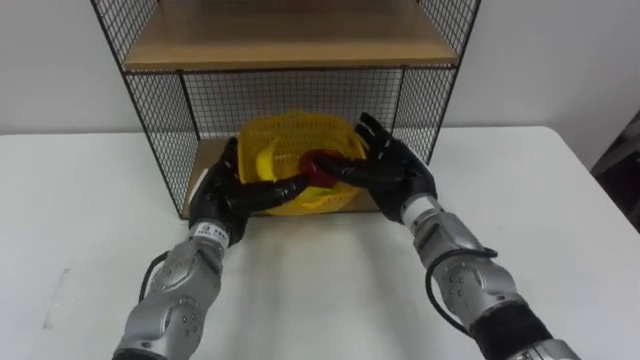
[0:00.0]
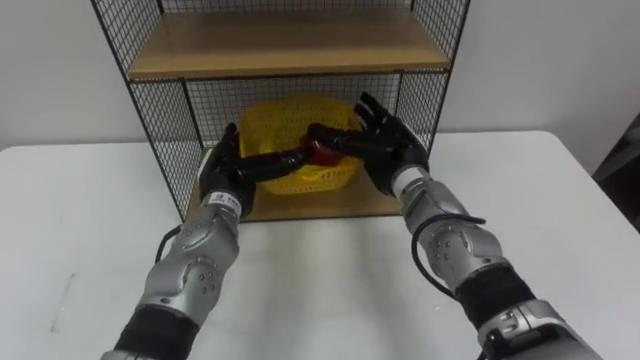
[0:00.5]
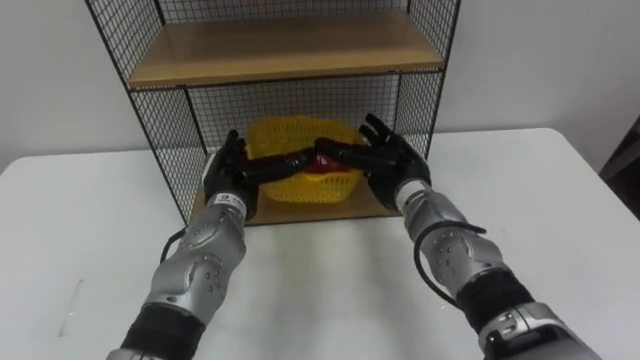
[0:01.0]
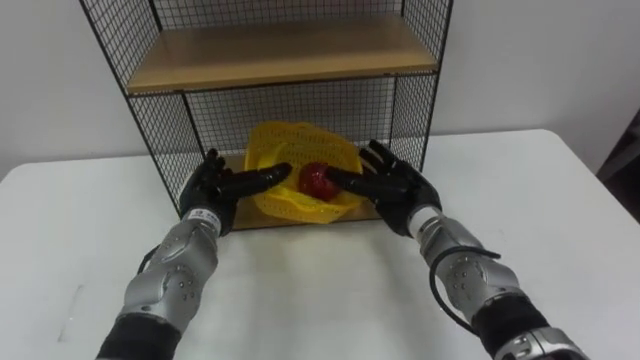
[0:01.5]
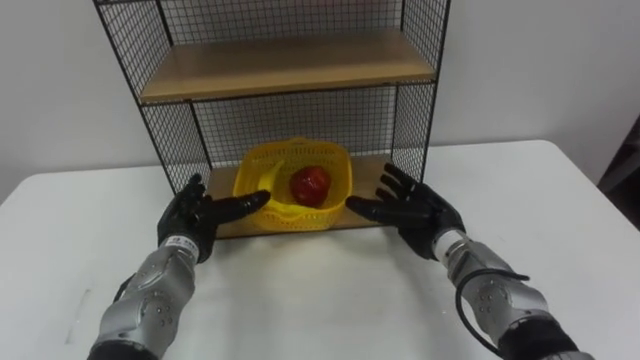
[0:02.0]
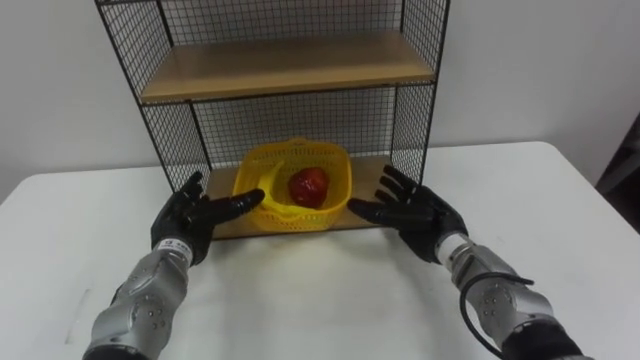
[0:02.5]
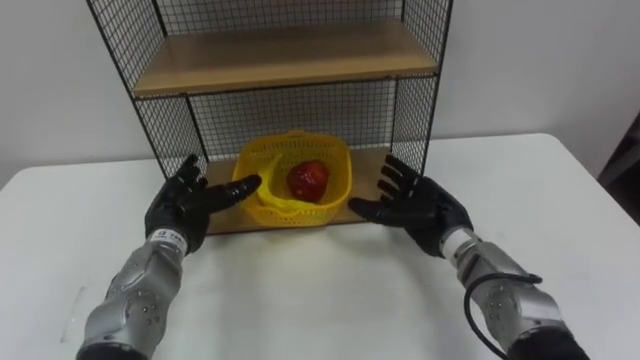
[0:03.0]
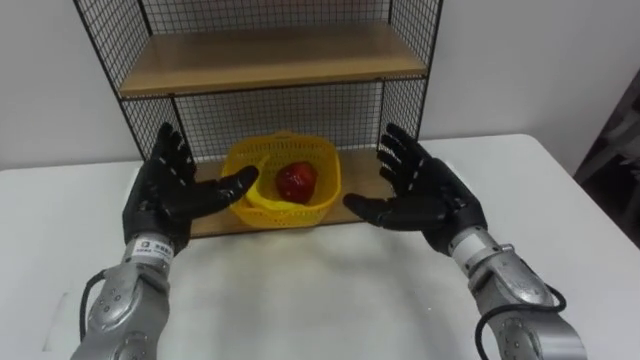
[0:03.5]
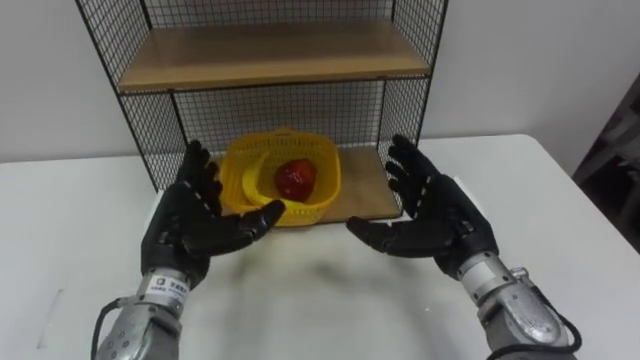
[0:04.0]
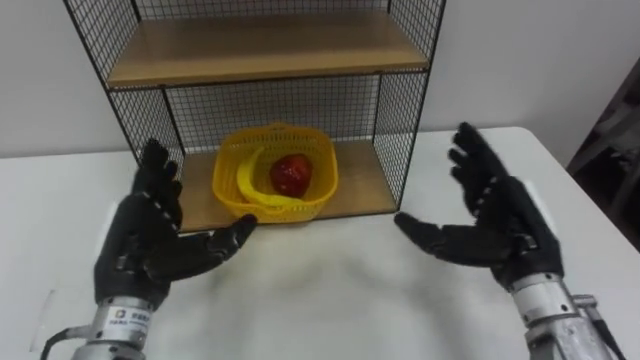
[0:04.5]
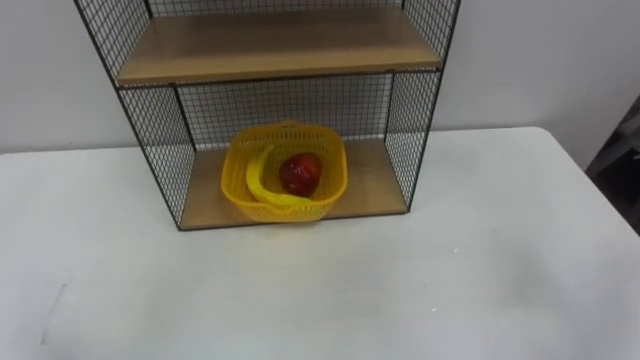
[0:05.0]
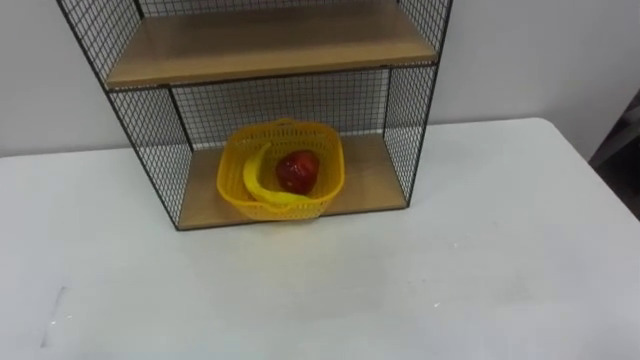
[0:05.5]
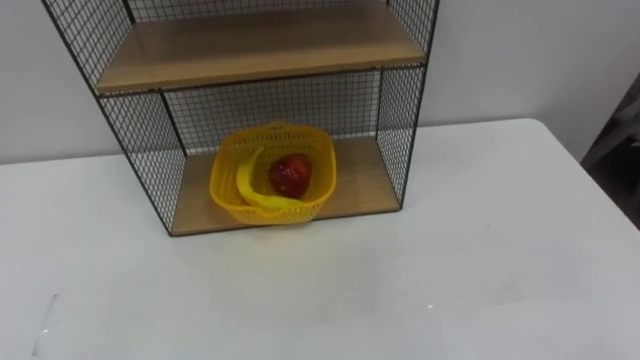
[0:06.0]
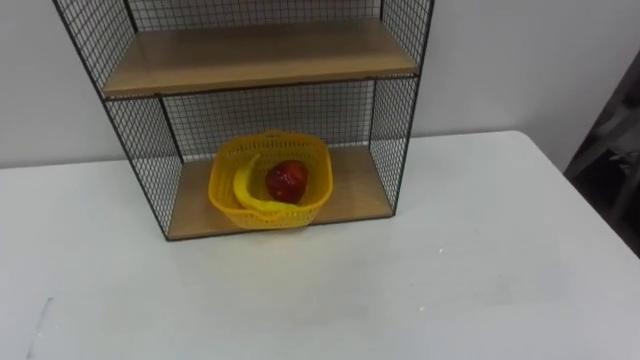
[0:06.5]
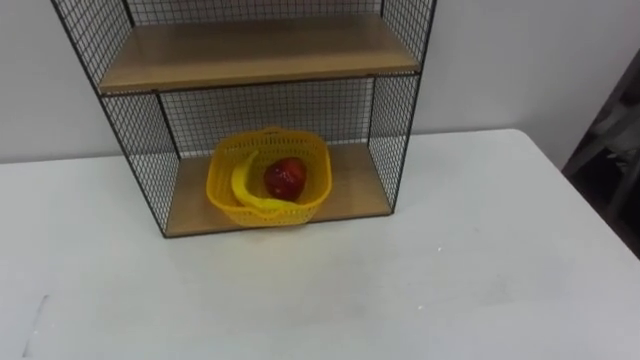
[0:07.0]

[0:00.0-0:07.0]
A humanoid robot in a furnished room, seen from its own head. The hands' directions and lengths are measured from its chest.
Task of the whole recording: Put the fruit on the table into the basket, then place the basket on the shelf.
0:00.0 to 0:02.0: The left hand moves to the left, roughly 5 cm. Meanwhile the right hand goes approximately 10 cm downward and to the right.
0:02.0 to 0:03.5: The hands both shift upward by about 10 cm.

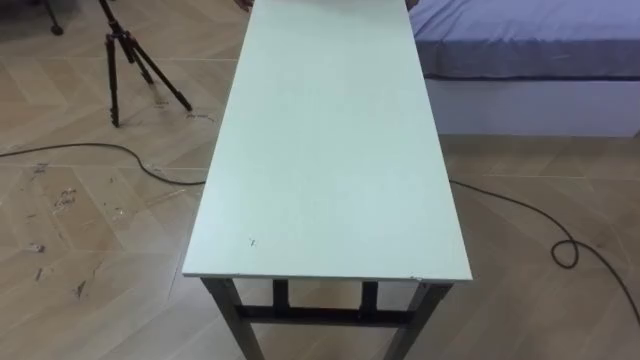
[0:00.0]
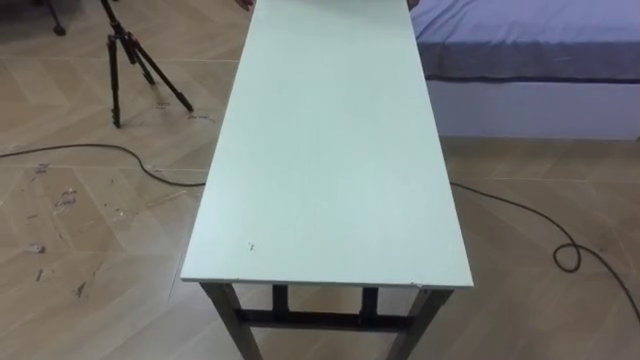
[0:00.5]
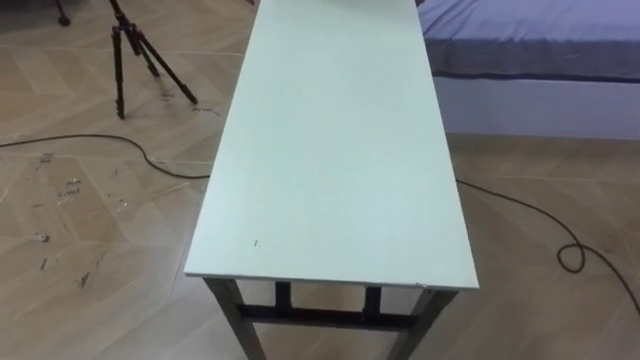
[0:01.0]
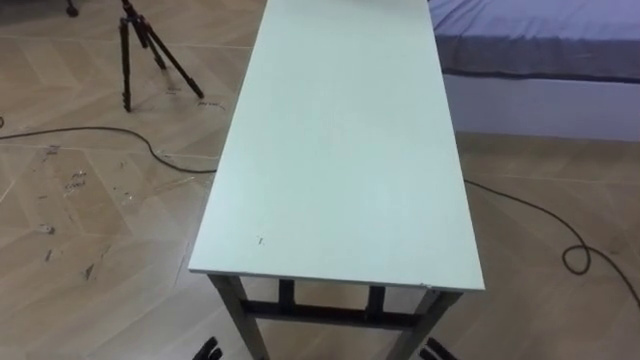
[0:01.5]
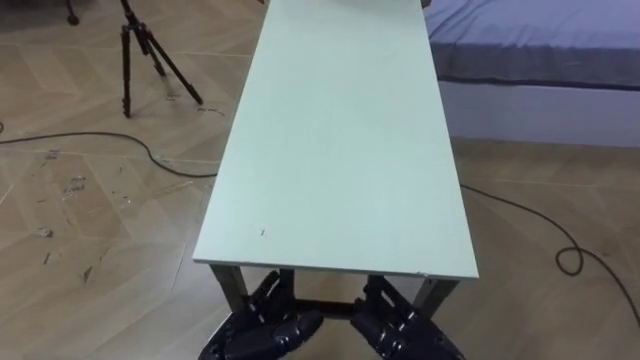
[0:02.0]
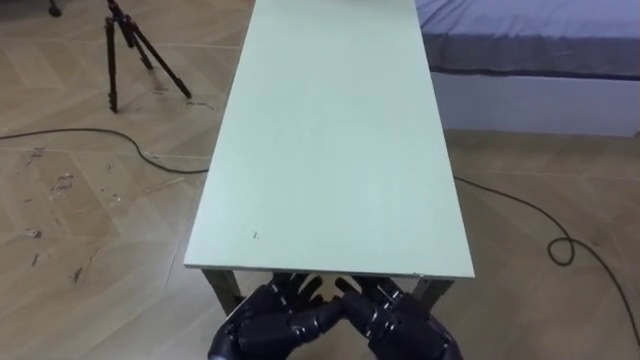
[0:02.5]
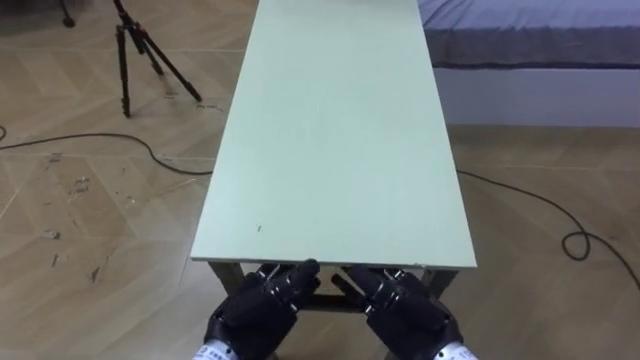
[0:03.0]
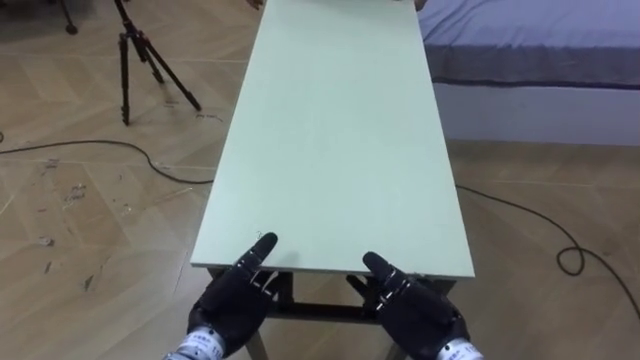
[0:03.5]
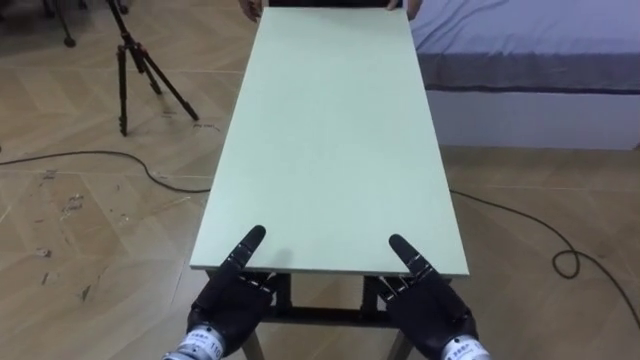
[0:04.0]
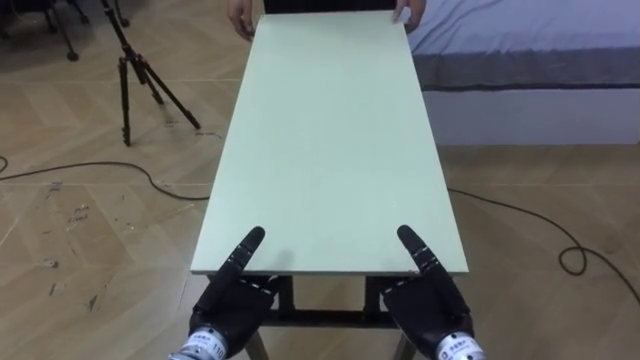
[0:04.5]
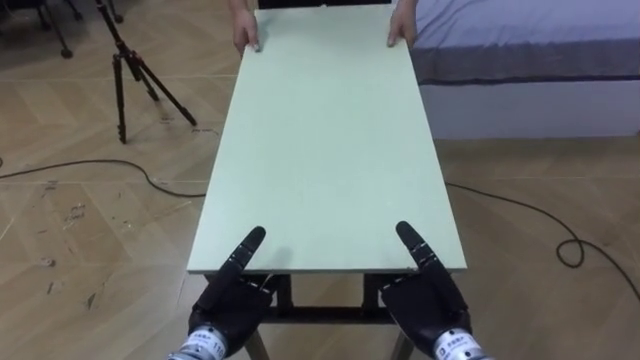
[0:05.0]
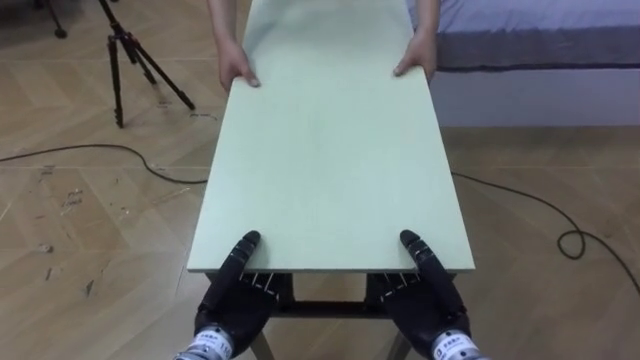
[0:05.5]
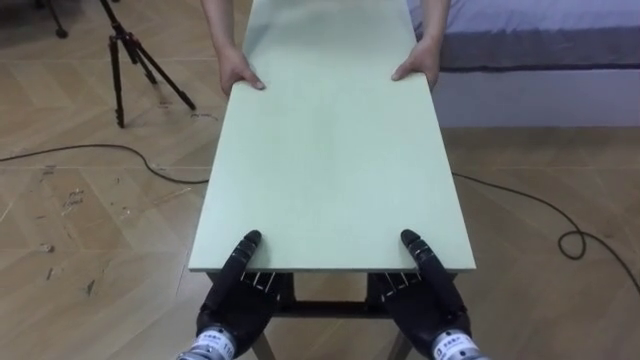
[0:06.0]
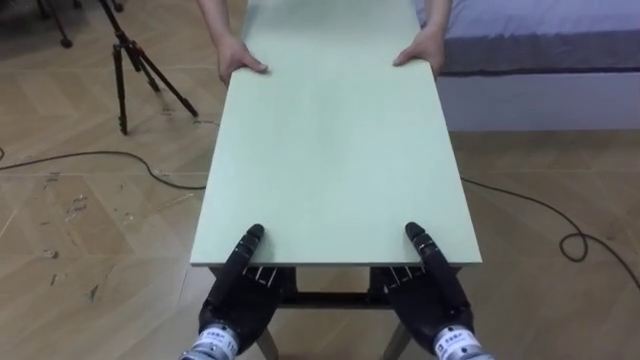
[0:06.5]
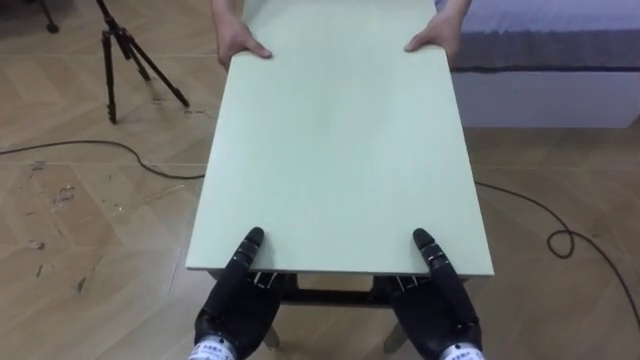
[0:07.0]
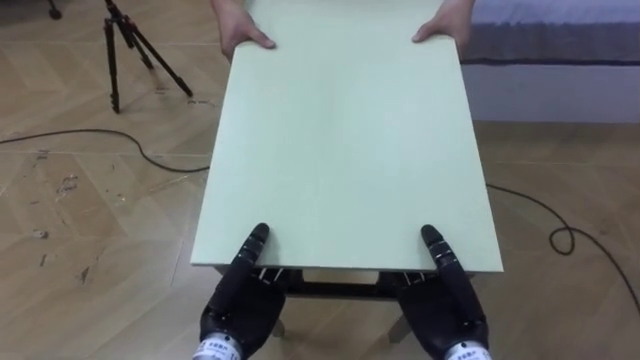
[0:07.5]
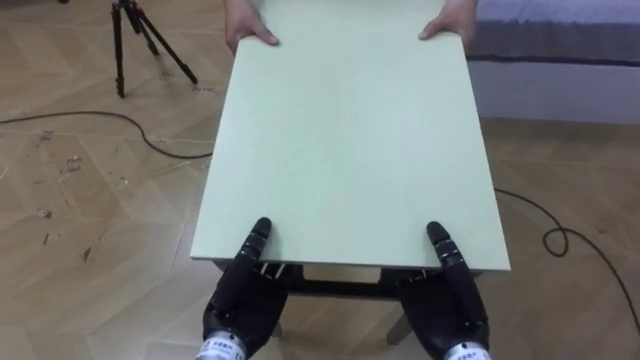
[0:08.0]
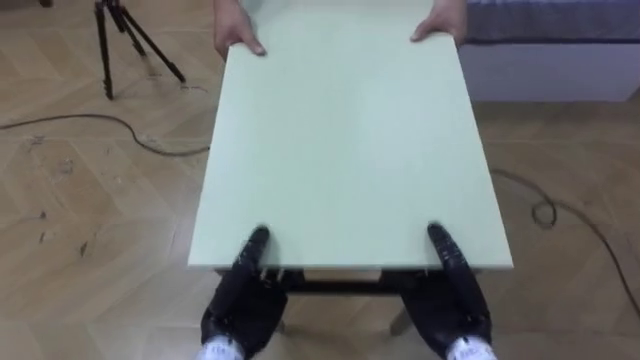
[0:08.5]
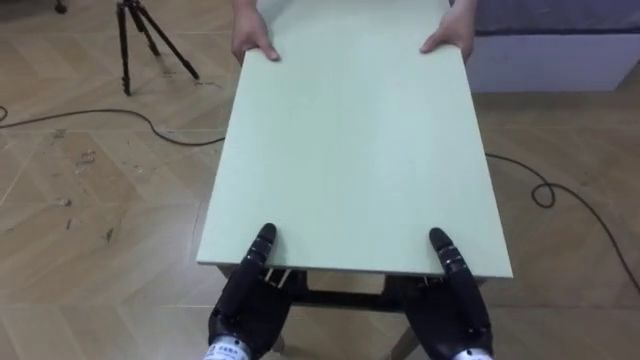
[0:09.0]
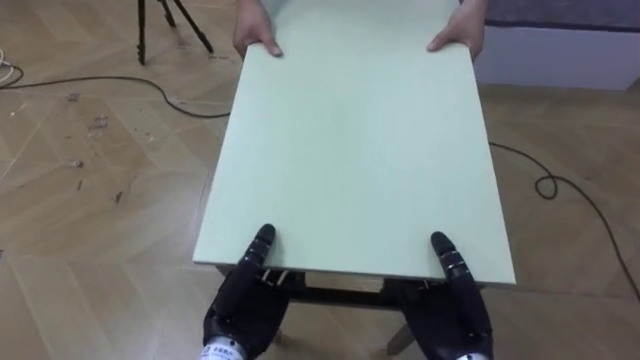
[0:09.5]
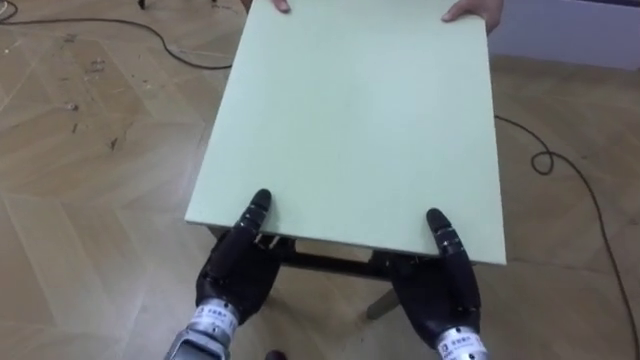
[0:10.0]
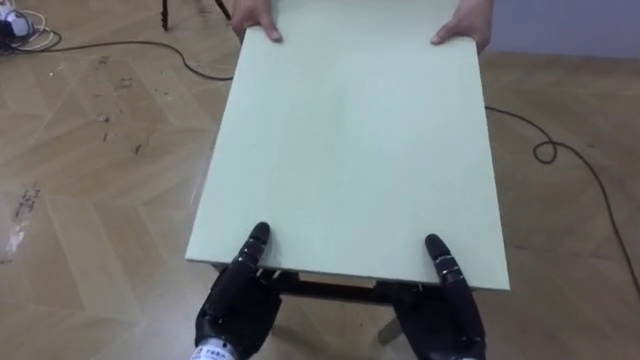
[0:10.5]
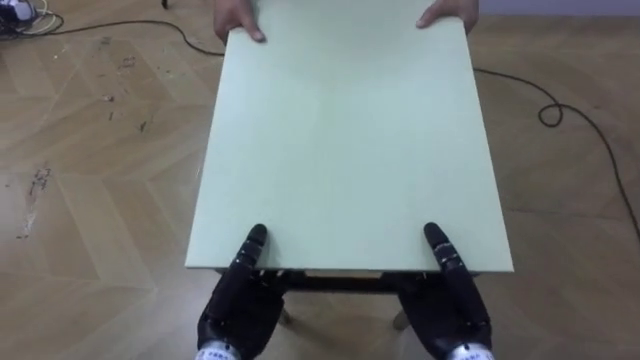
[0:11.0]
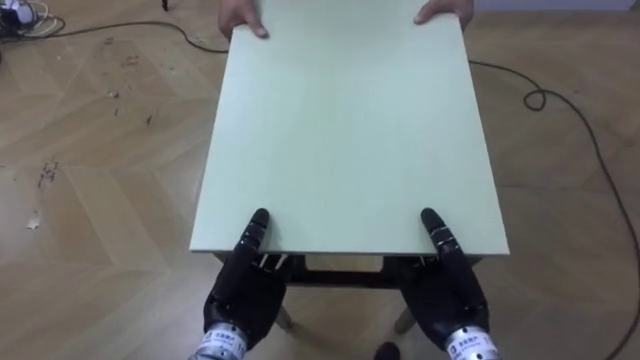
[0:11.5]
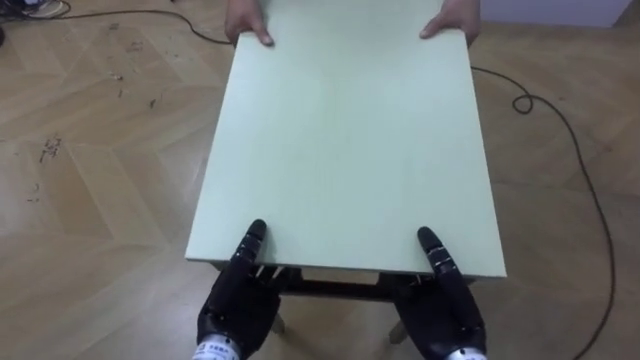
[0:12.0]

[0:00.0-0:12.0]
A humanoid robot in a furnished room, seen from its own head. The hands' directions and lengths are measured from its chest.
Task of the whole recording: Move the table to the back left with someone.
0:02.0 to 0:04.0: Both hands travel together forward, about 5 cm.
0:04.0 to 0:06.0: The right hand closes its fingers, while the left hand closes up.

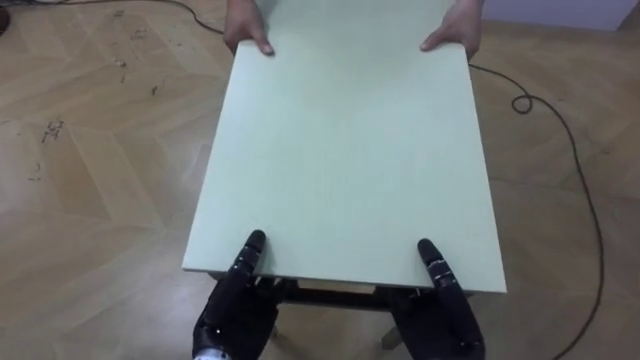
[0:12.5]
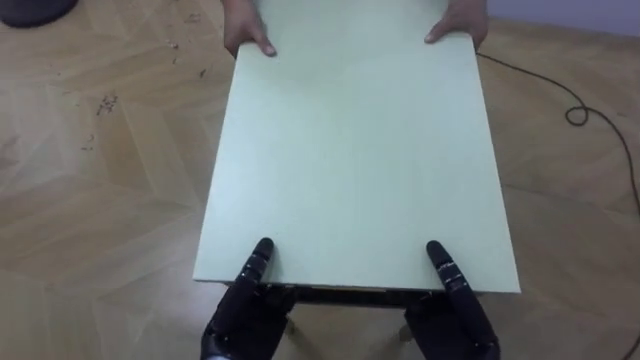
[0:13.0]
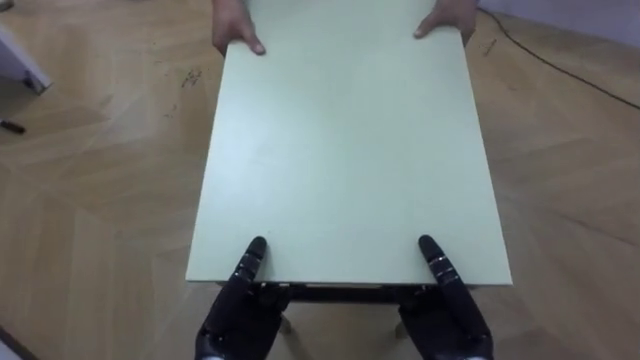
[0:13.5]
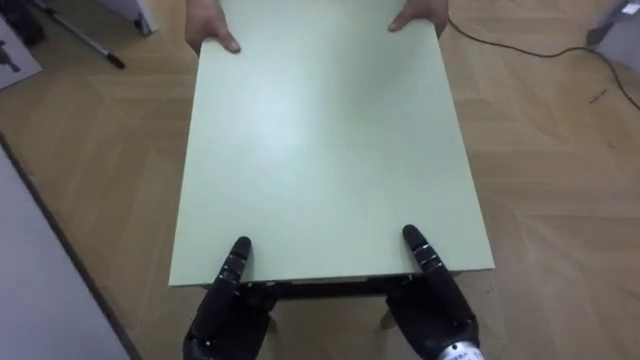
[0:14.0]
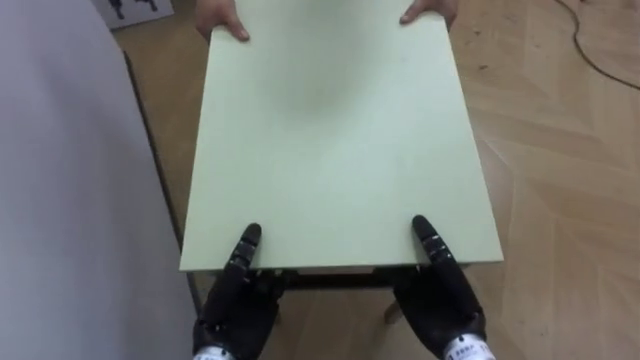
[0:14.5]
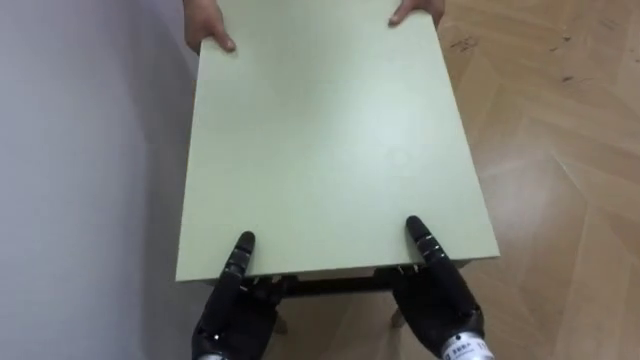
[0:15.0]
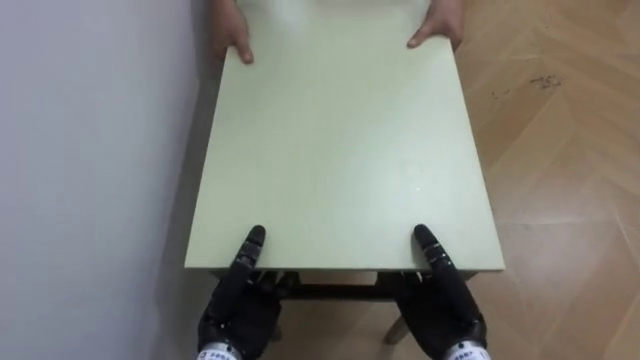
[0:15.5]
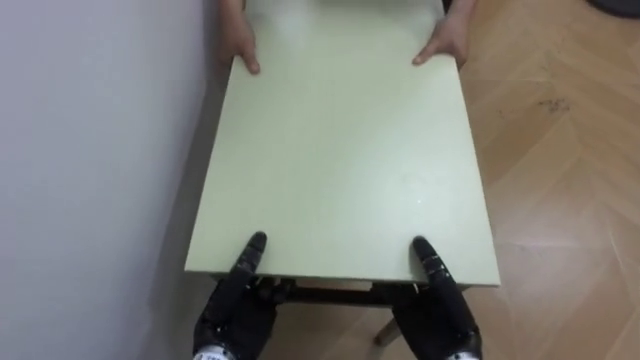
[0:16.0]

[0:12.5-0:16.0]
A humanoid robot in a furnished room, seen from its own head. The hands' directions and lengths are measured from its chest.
Task of the whole recording: Move the table to the back left with someone.
0:12.5 to 0:14.5: The robot's body swings roughly 55 degrees to its left.
0:14.5 to 0:16.0: The robot rotates some 30 degrees to its left.
